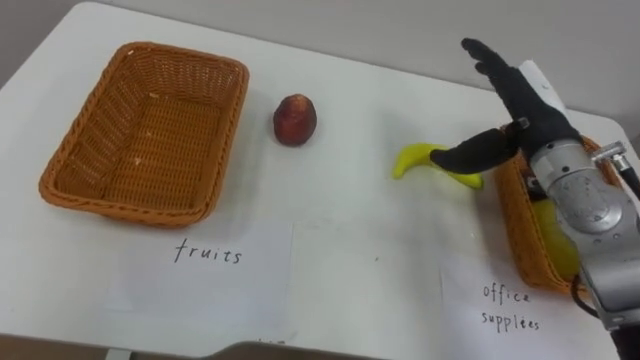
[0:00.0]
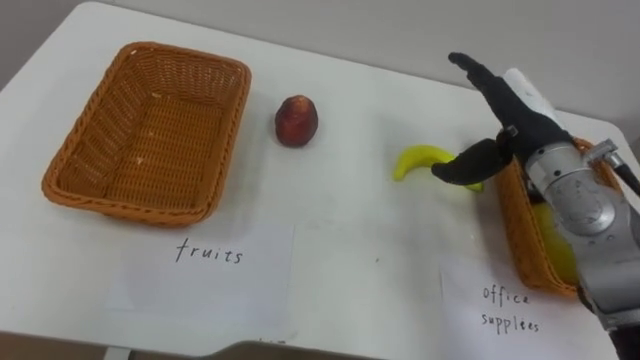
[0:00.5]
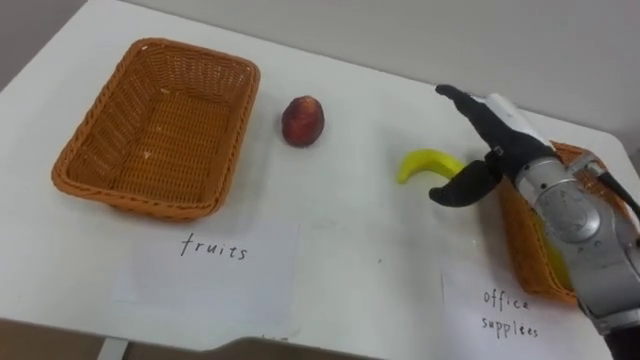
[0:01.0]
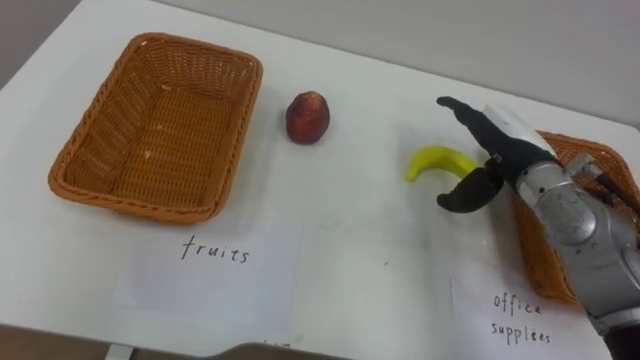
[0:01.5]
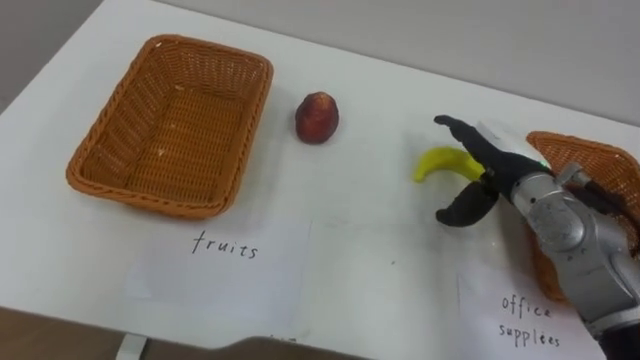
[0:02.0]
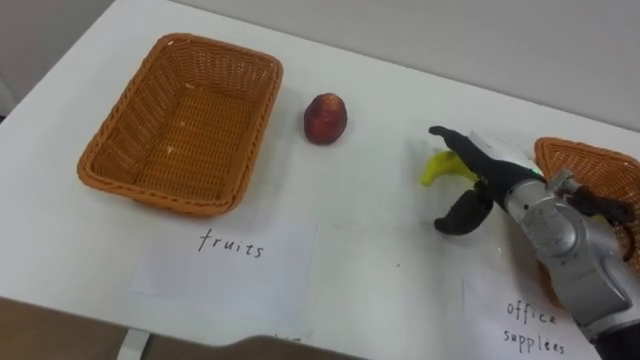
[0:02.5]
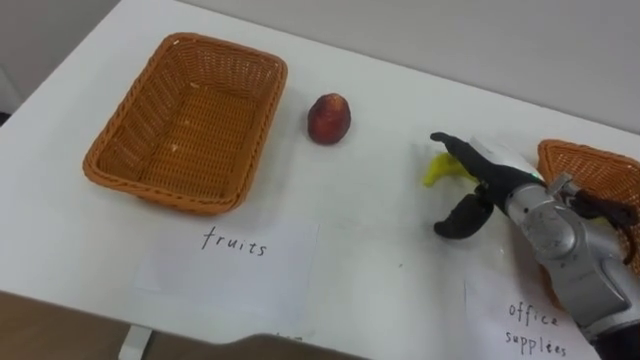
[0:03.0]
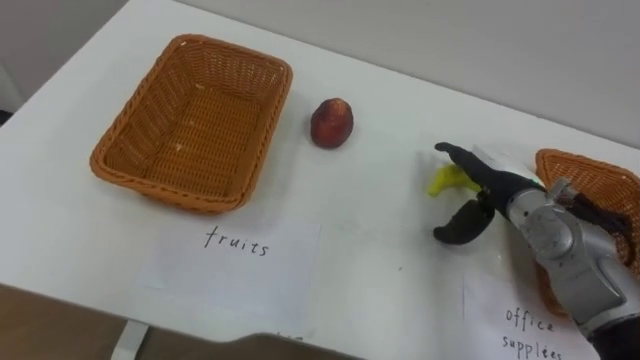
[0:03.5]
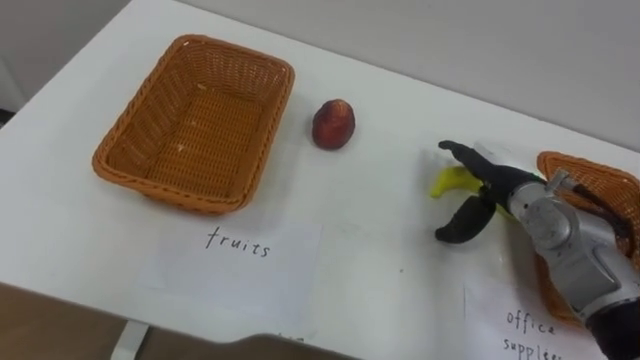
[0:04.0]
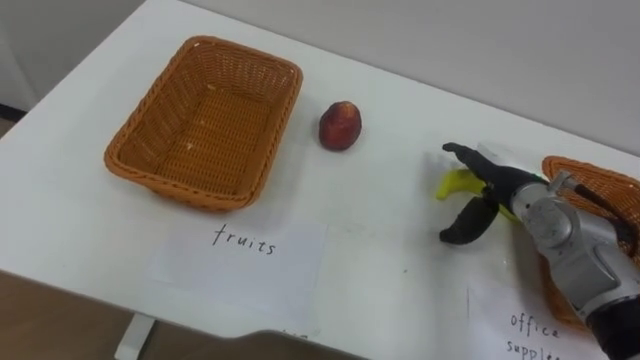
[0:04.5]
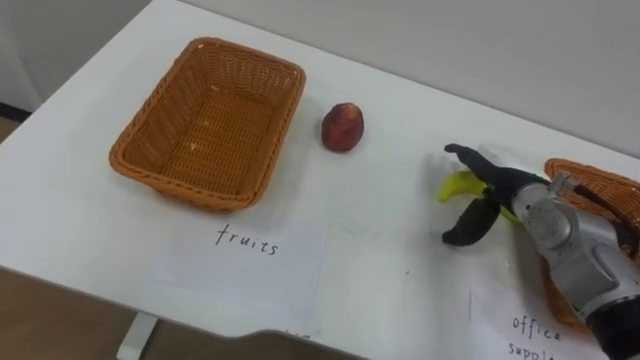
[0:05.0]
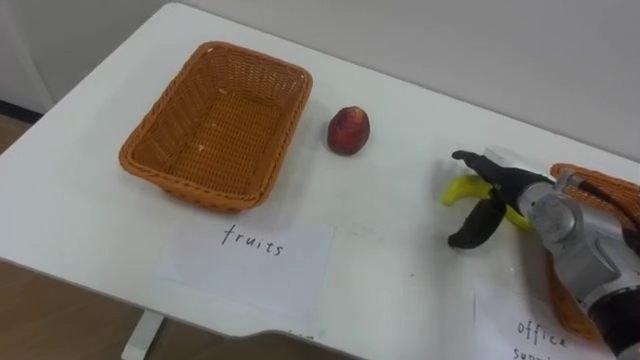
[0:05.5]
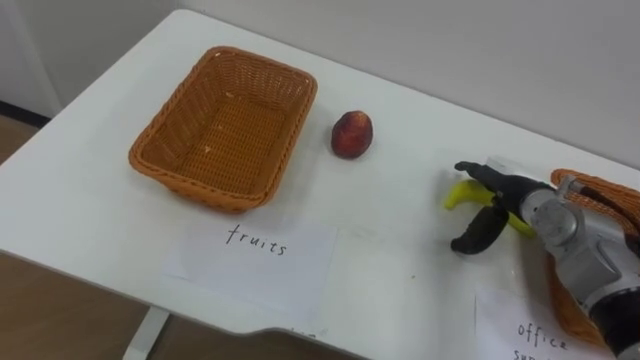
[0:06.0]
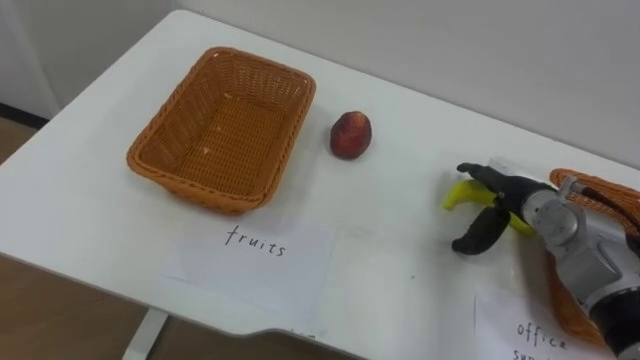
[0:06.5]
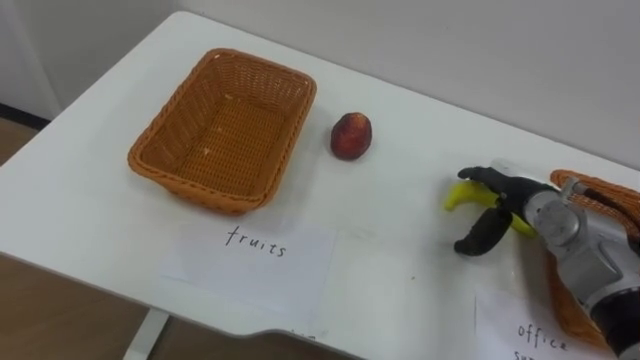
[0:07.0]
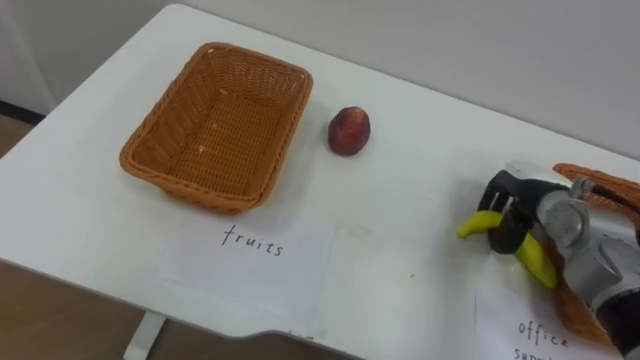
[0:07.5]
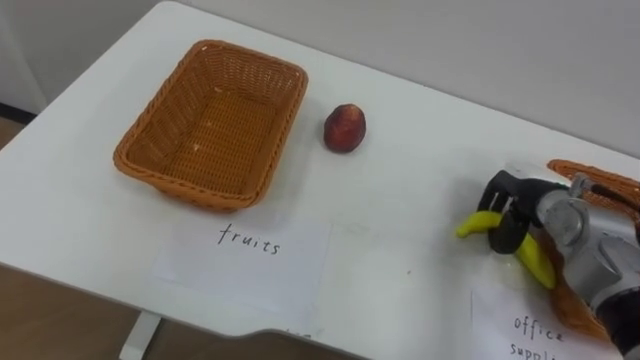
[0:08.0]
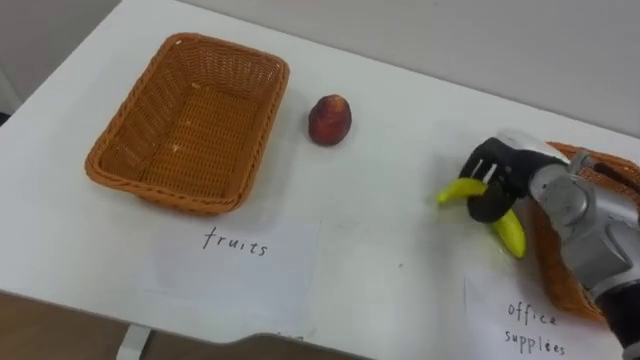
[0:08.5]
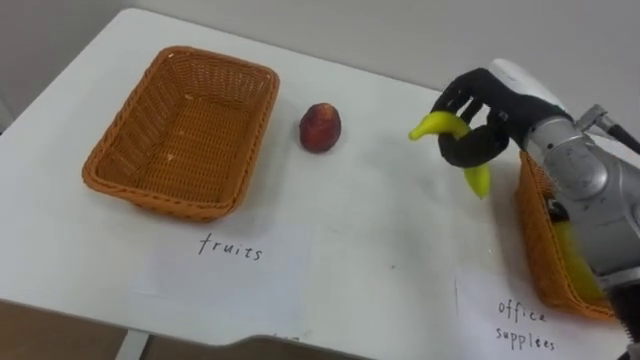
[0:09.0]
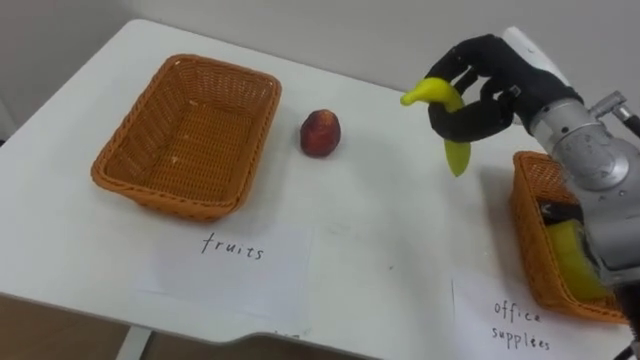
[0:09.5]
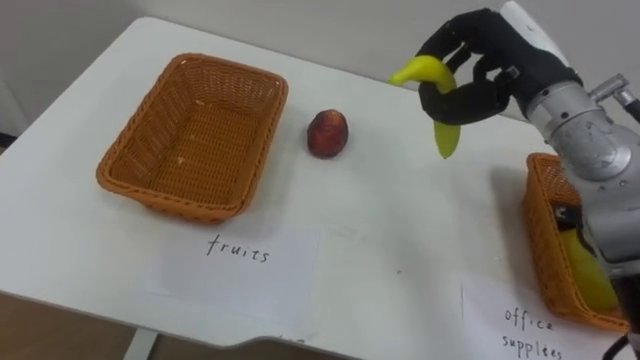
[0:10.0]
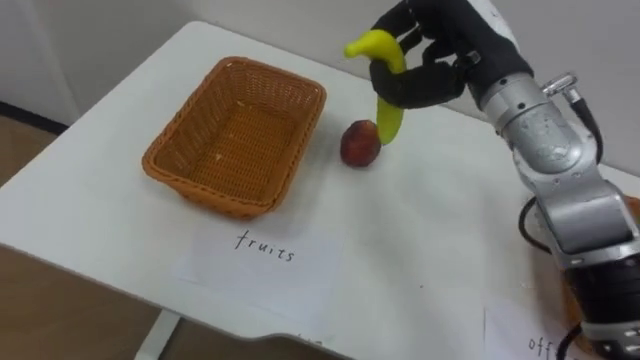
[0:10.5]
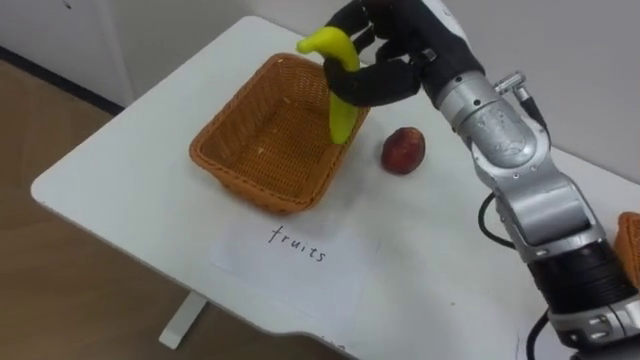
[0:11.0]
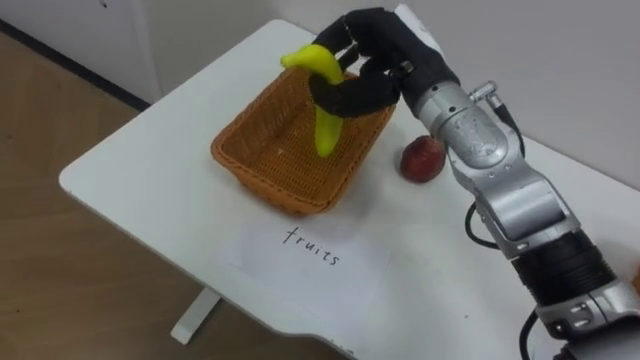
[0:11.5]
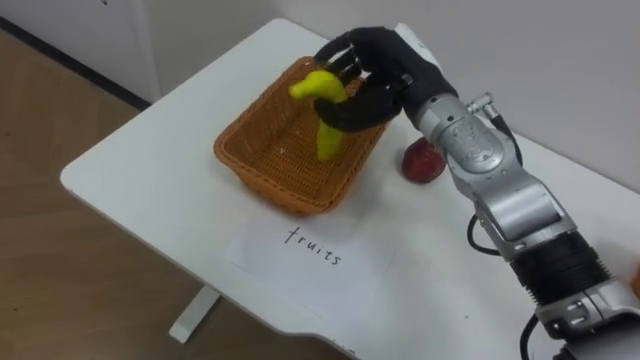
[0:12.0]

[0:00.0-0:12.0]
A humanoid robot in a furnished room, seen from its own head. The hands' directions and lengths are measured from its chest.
Task of the whole recording: Separate the items on the table and place them into the two baskets.
0:00.0 to 0:02.0: The right hand shifts some 5 cm downward.
0:06.0 to 0:08.0: The right hand closes up.
0:08.0 to 0:10.0: The right hand goes roughly 20 cm upward and to the left.
0:10.0 to 0:12.0: The right hand shifts approximately 10 cm to the left.

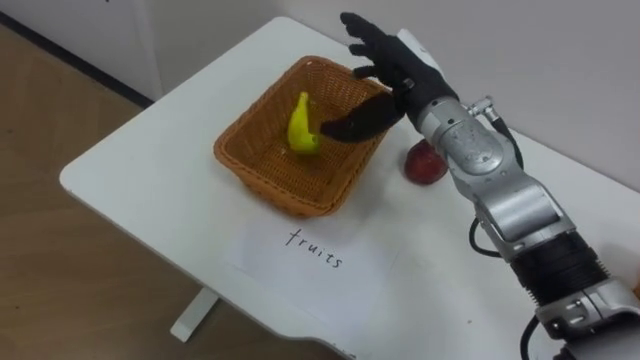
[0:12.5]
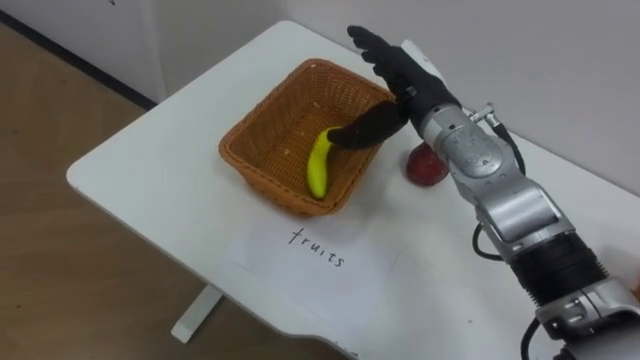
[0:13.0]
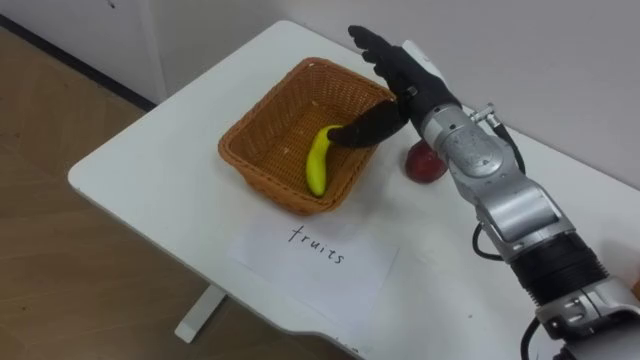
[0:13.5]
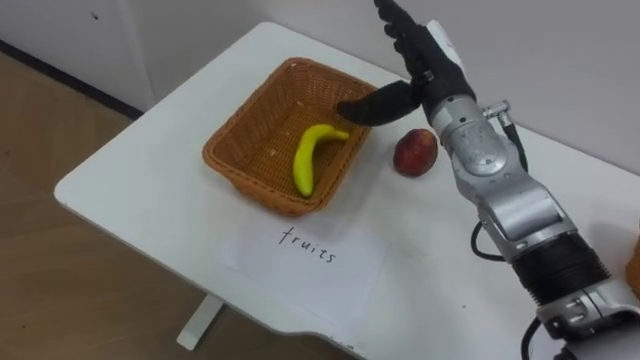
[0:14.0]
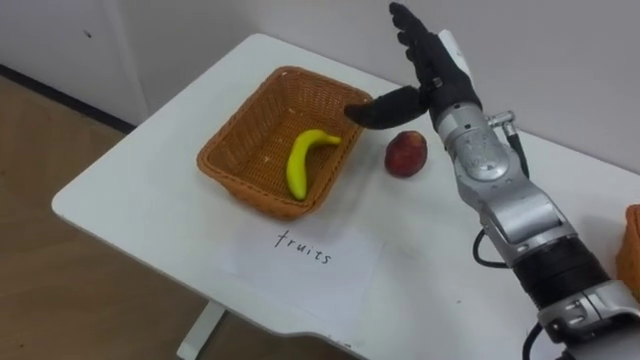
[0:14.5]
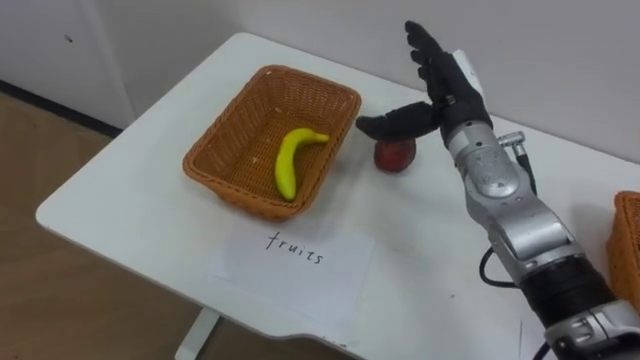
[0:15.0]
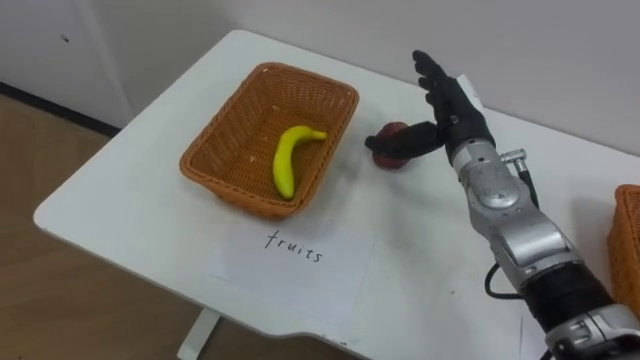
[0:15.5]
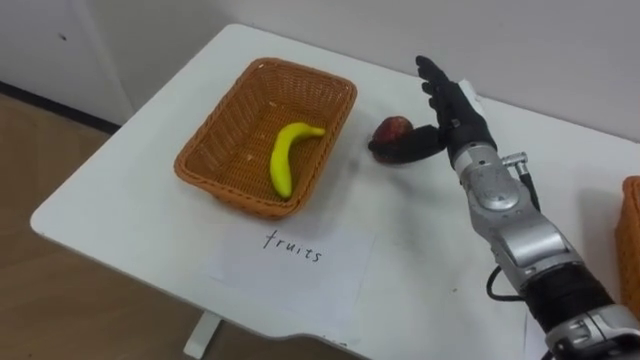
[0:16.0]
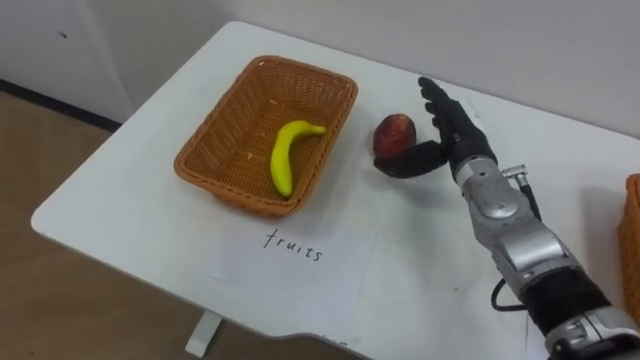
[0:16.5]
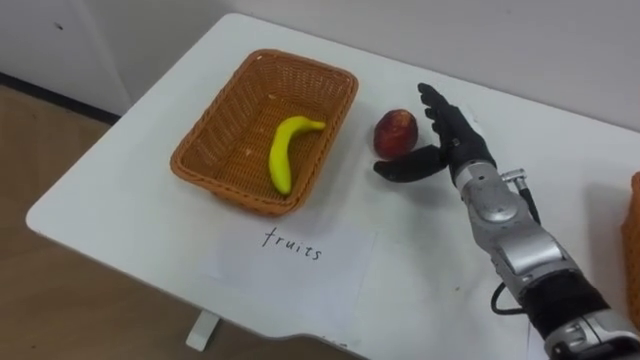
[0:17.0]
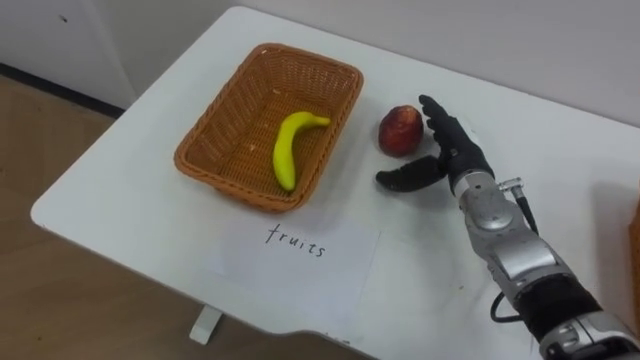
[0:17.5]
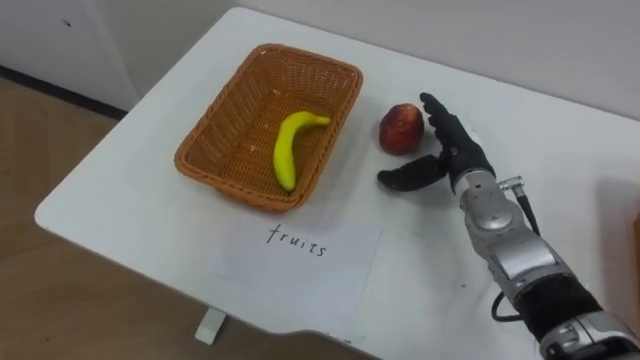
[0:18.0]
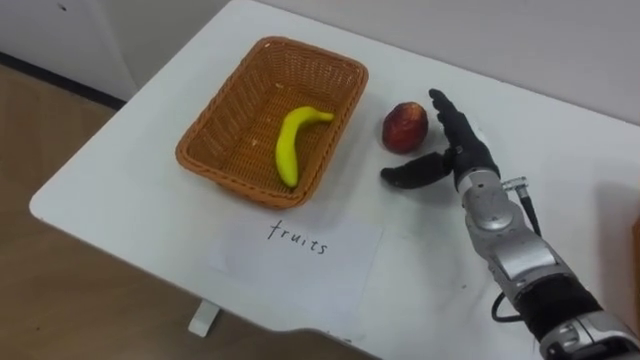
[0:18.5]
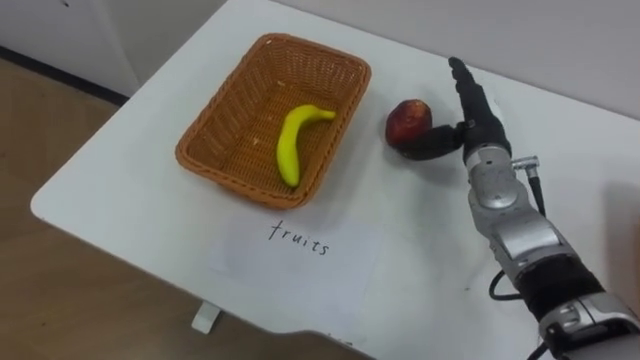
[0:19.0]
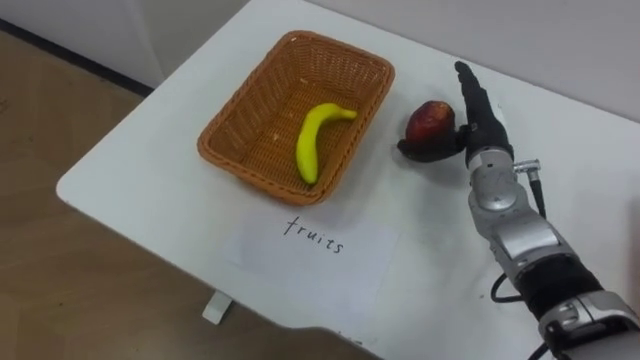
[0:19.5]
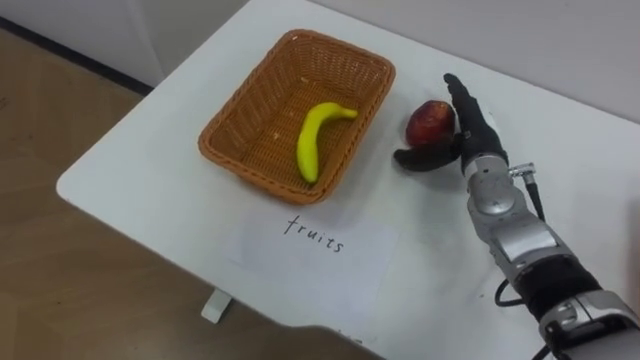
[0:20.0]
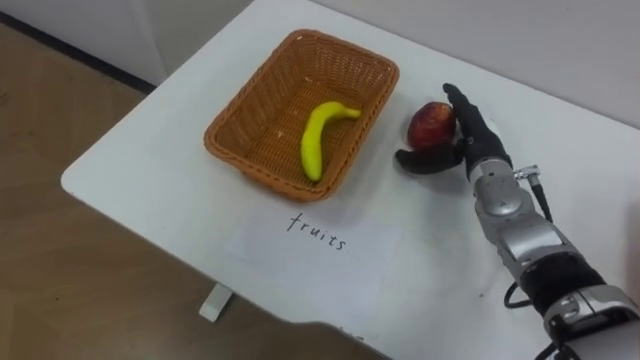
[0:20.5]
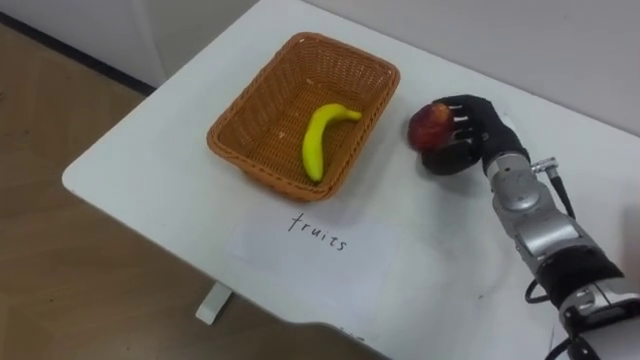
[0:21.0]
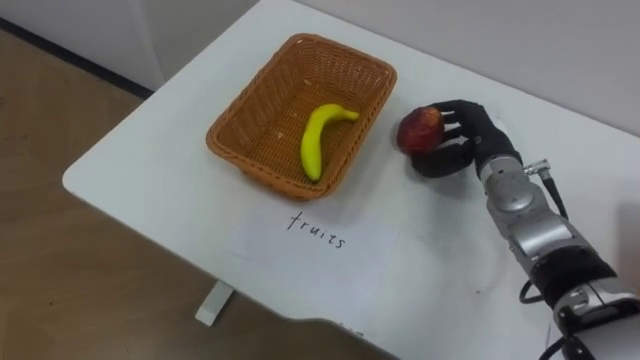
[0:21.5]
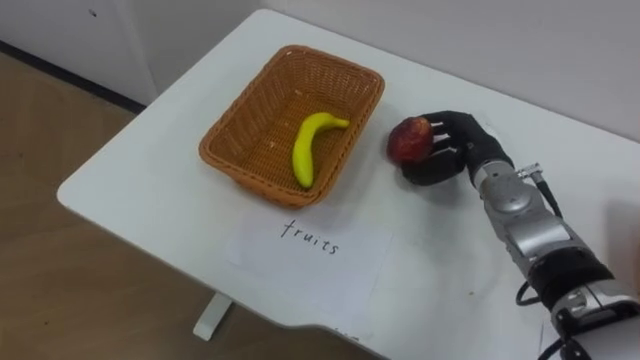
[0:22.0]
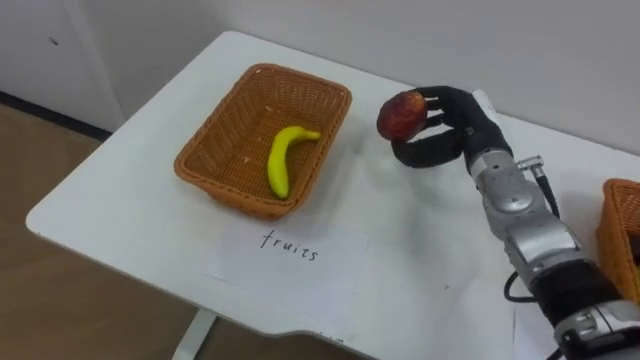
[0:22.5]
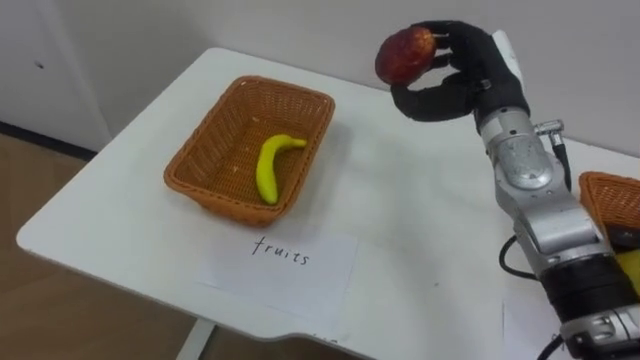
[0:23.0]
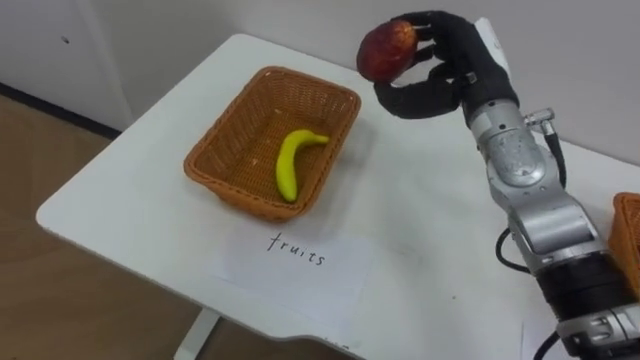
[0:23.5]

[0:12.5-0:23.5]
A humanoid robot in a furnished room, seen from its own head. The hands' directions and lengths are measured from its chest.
Task of the whole recording: Separate the items on the table and place them into the two baskets.
0:14.5 to 0:16.0: The right hand heads downward, covering some 5 cm.
0:20.0 to 0:21.5: The right hand closes up.
0:21.5 to 0:23.5: The right hand moves upward, some 10 cm.
